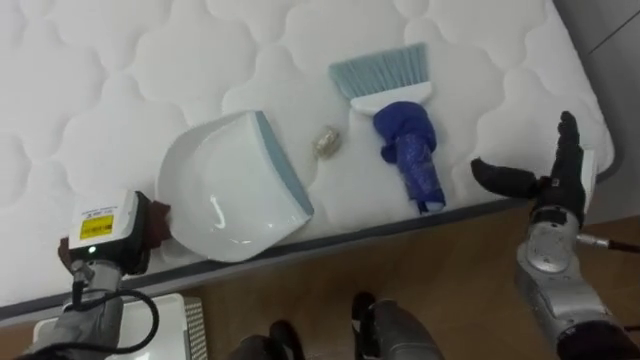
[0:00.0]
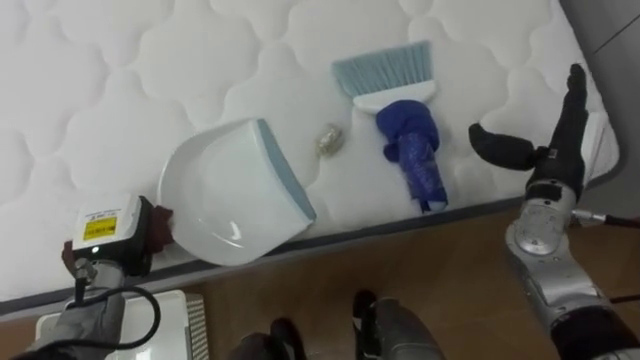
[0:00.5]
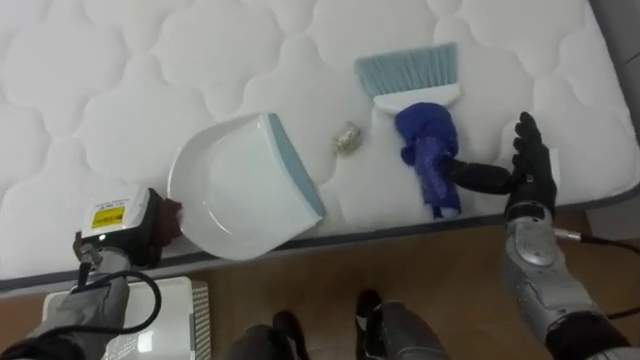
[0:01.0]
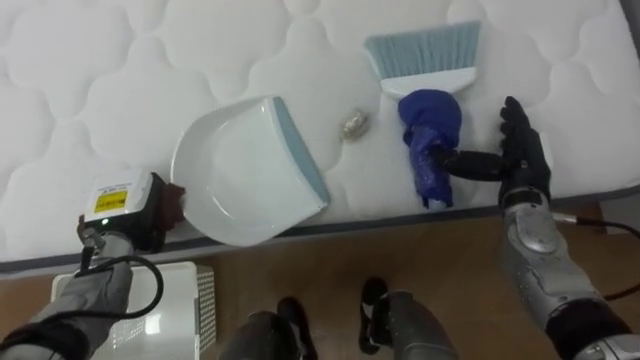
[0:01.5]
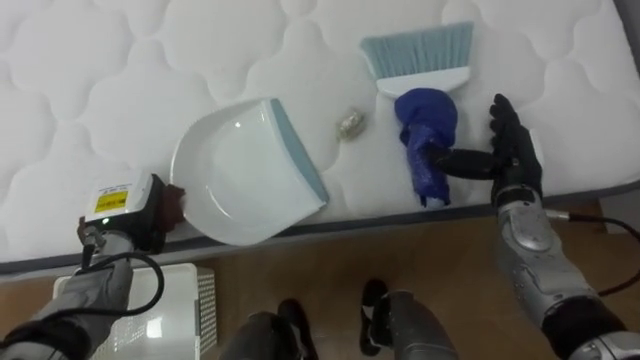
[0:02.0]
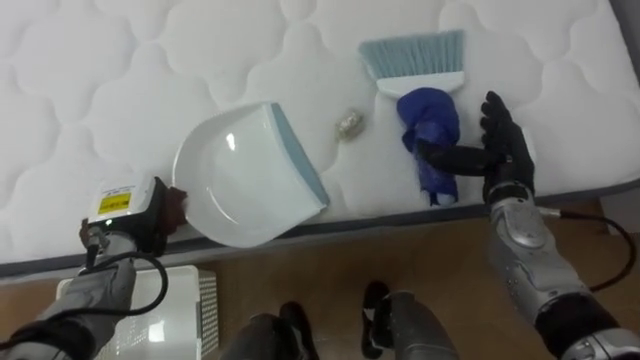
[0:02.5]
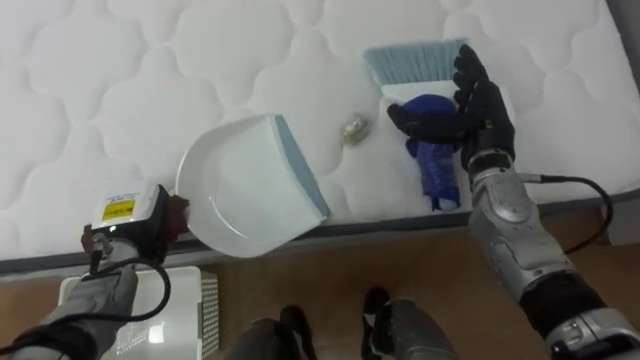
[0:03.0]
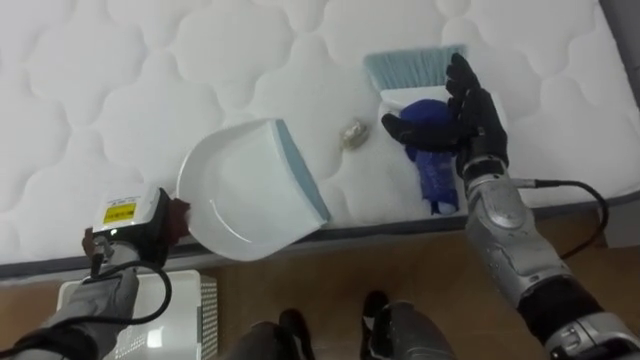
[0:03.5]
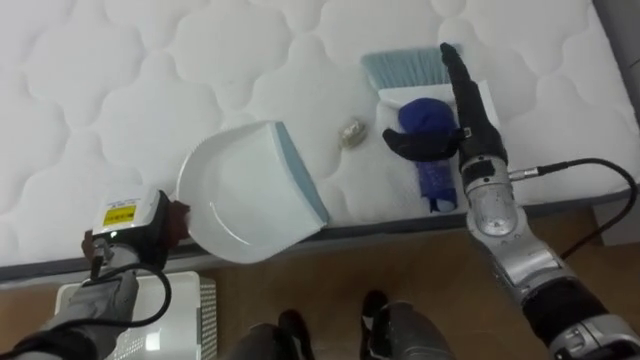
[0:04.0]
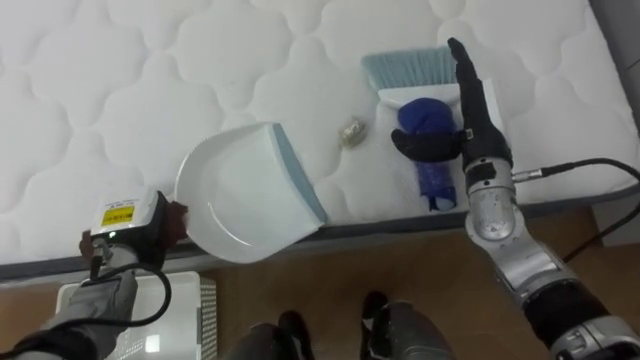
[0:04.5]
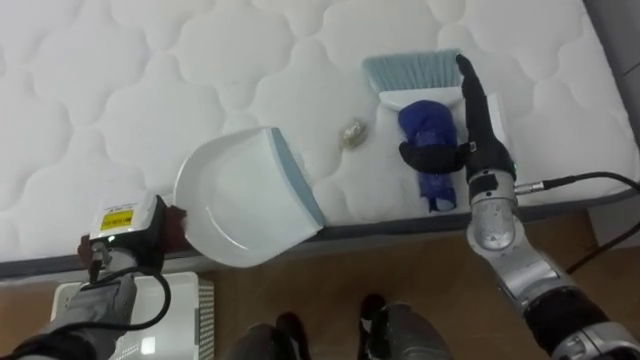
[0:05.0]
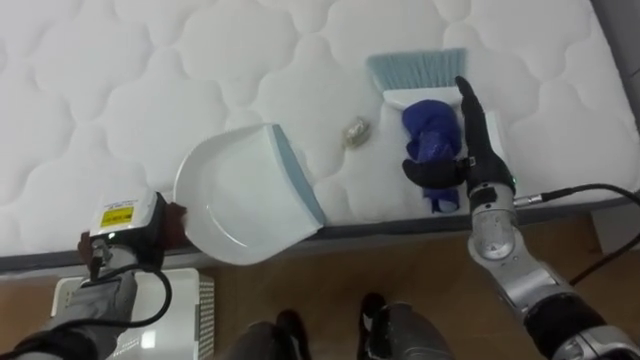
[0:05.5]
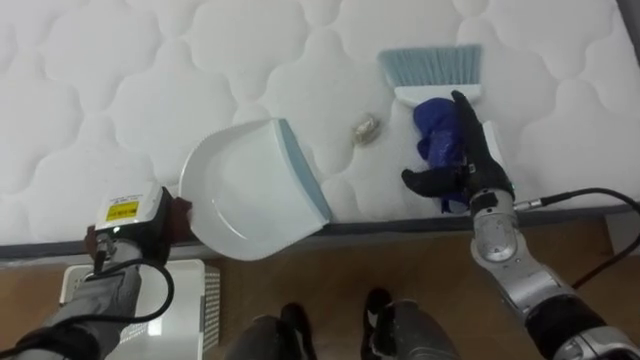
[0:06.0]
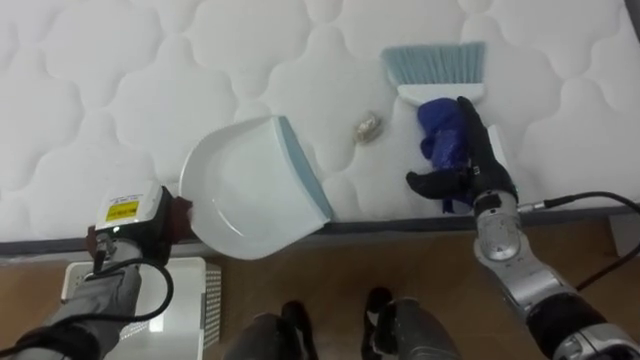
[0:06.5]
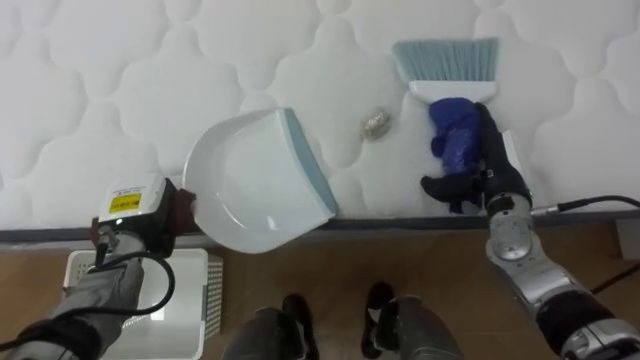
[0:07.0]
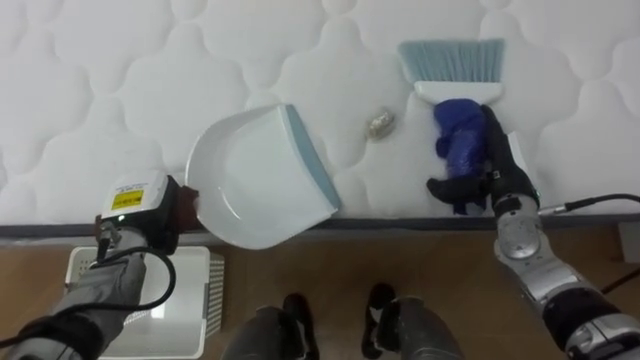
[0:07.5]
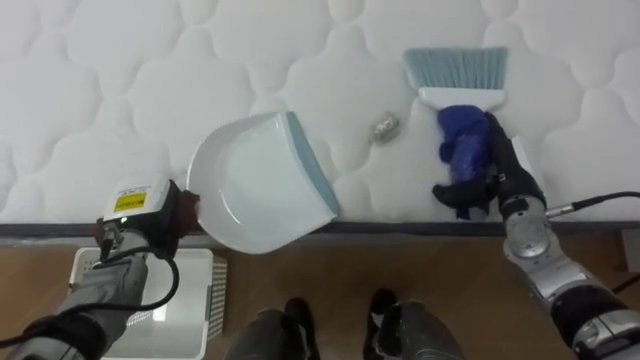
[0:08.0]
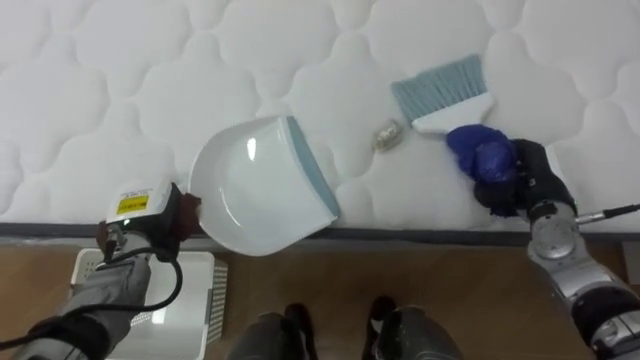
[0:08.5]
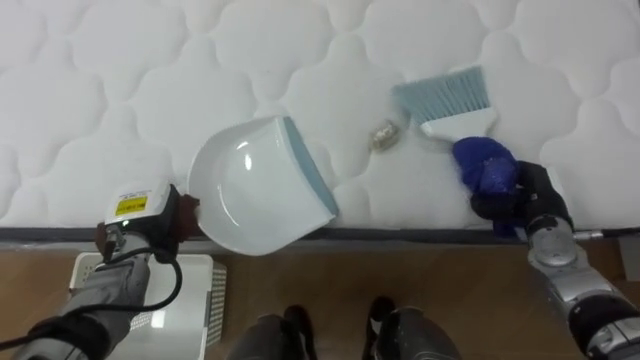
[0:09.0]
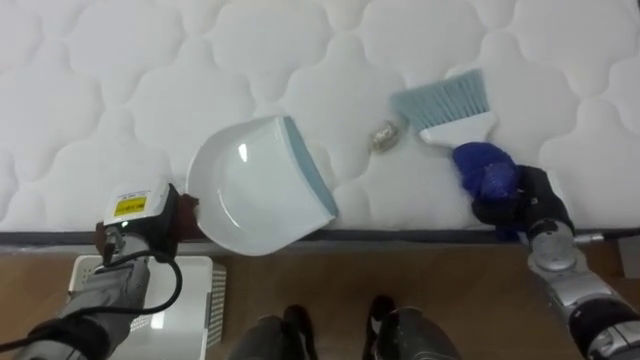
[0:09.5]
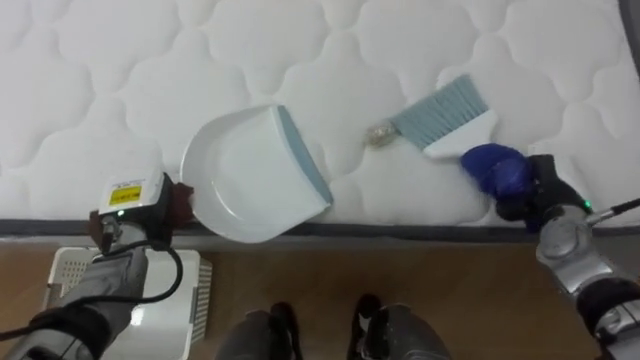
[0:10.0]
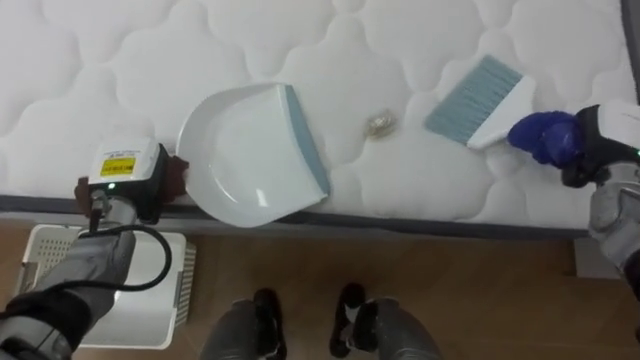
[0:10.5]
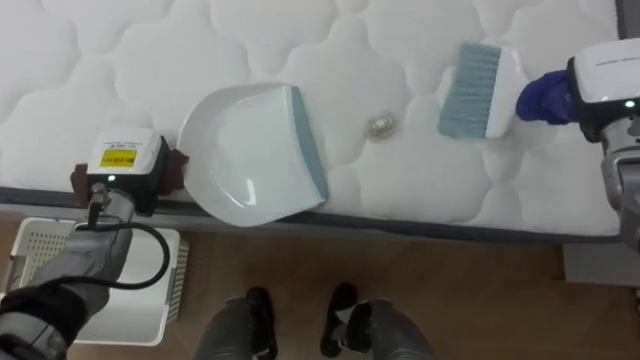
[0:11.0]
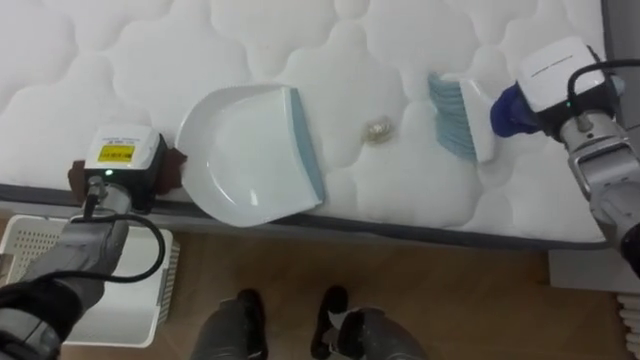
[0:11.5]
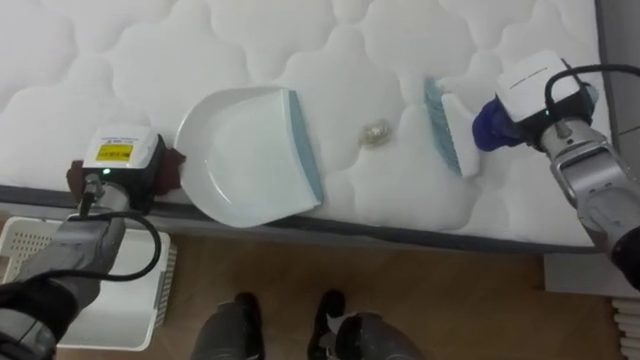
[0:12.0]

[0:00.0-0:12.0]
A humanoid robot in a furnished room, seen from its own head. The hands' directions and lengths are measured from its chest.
Task of the whole recording: Pick up the brush on your right and the dustpan on your left. Use the brush to sweep the crumpled paper on the bed into the dustpan, then turn left and empty it into the basket.
0:00.0 to 0:02.0: The right hand travels to the left by approximately 5 cm.
0:02.0 to 0:04.0: The right hand shifts approximately 10 cm to the left and upward.
0:04.0 to 0:06.0: The right hand moves downward, roughly 5 cm.
0:06.0 to 0:08.0: The right hand is displaced to the right by about 5 cm.
0:08.0 to 0:10.0: The right hand heads to the right, covering approximately 5 cm, and closes up.
0:10.0 to 0:12.0: The left hand travels upward by roughly 5 cm. Meanwhile the right hand goes approximately 15 cm upward, forward and to the left.

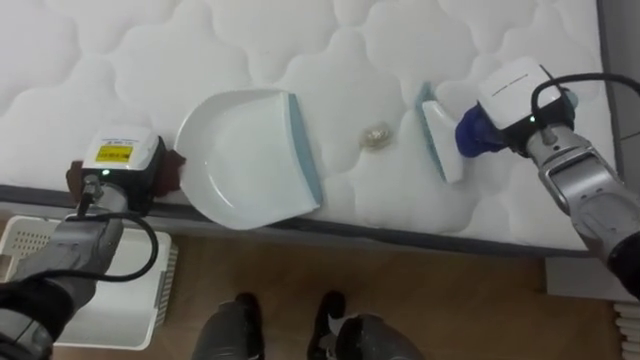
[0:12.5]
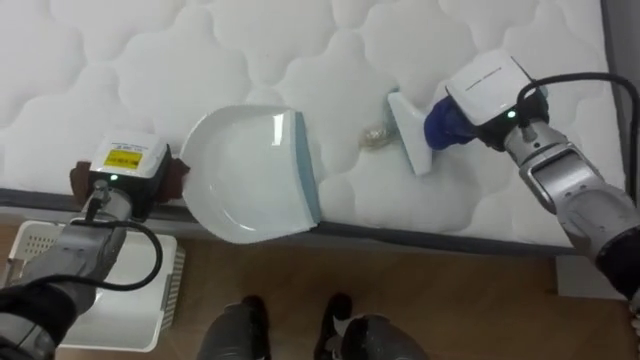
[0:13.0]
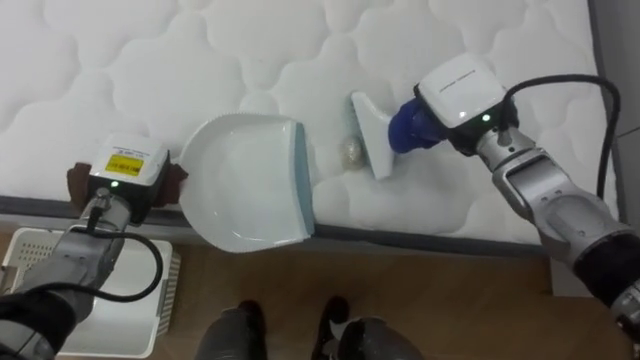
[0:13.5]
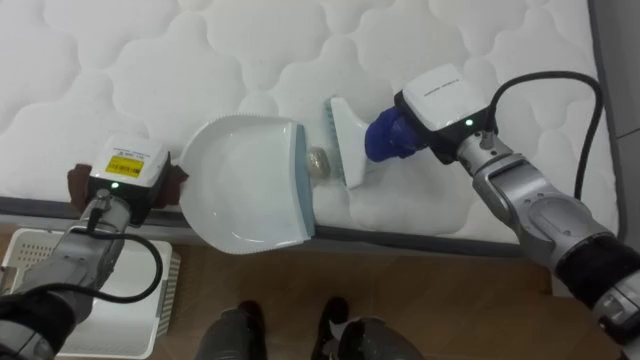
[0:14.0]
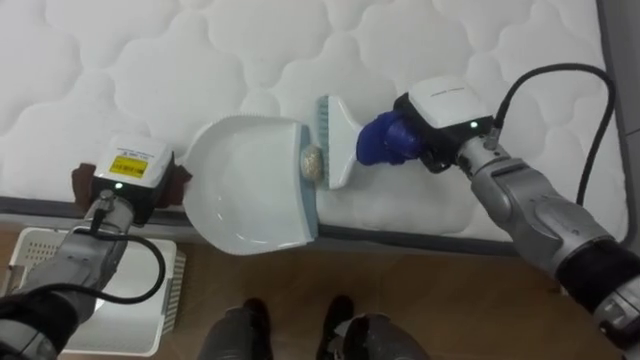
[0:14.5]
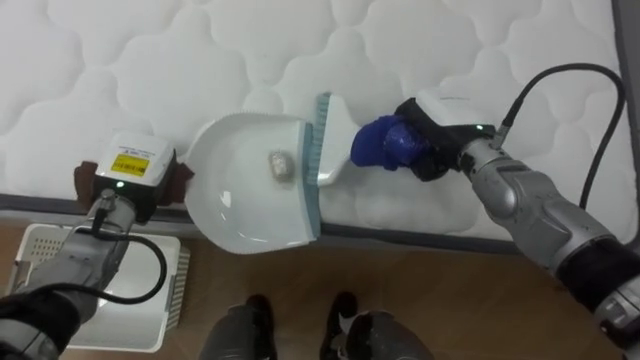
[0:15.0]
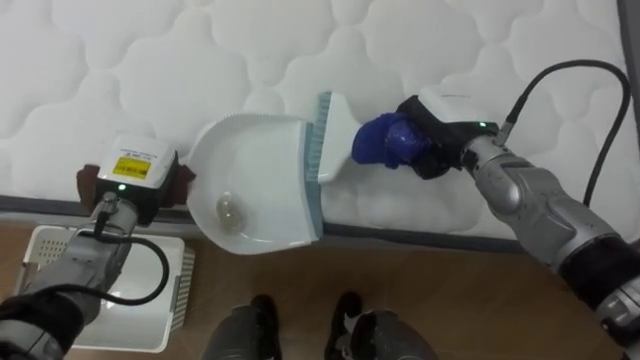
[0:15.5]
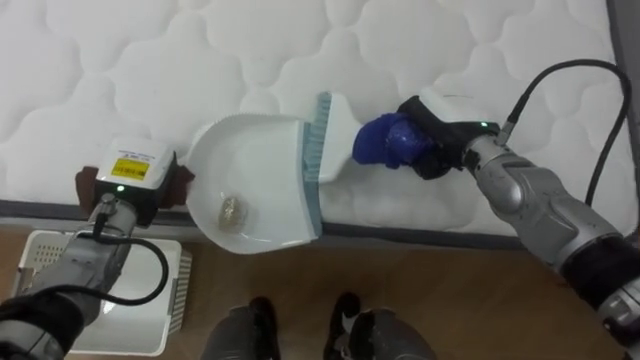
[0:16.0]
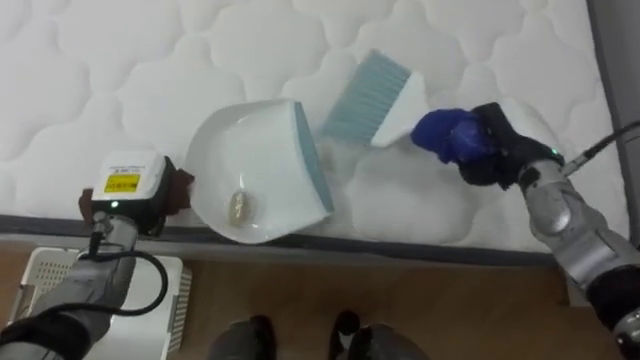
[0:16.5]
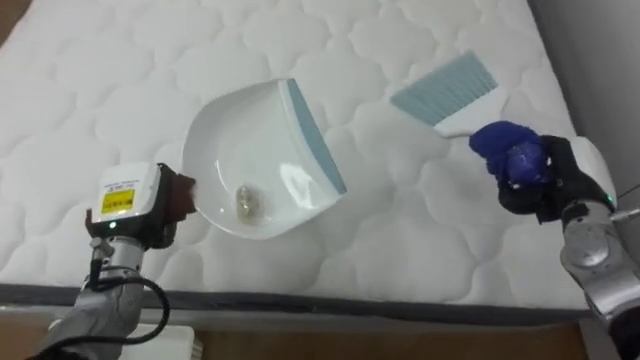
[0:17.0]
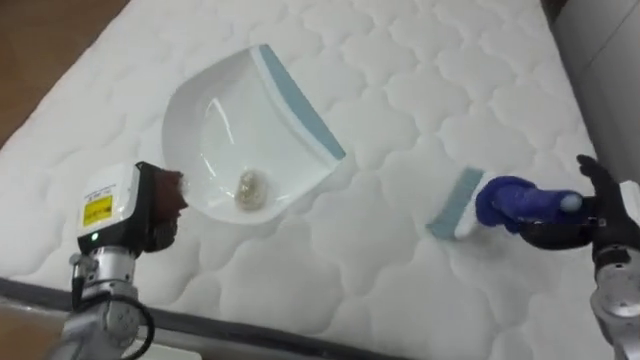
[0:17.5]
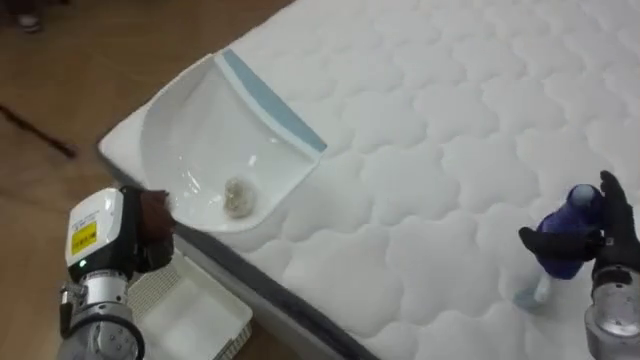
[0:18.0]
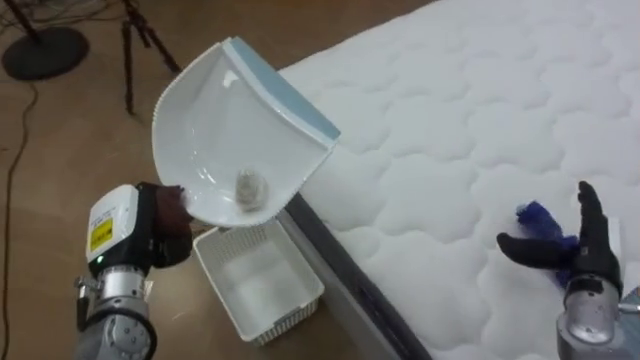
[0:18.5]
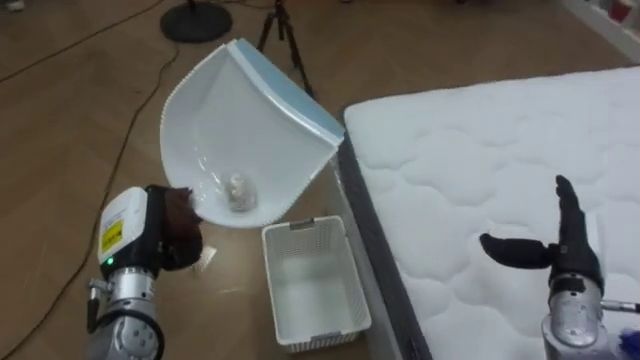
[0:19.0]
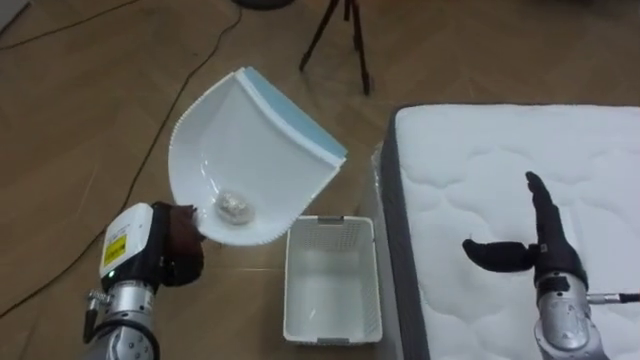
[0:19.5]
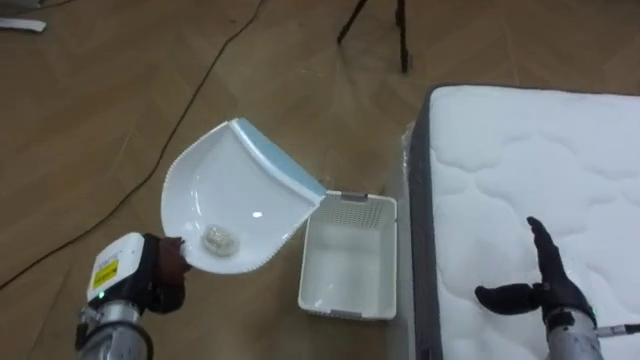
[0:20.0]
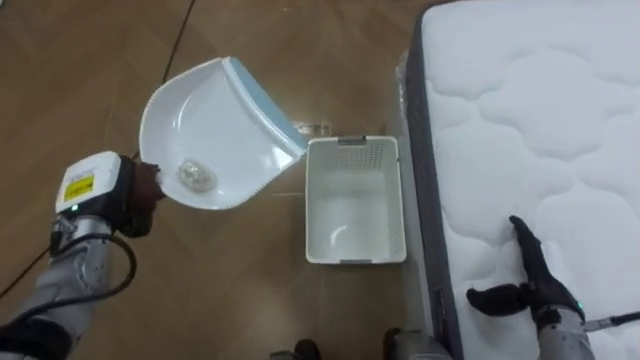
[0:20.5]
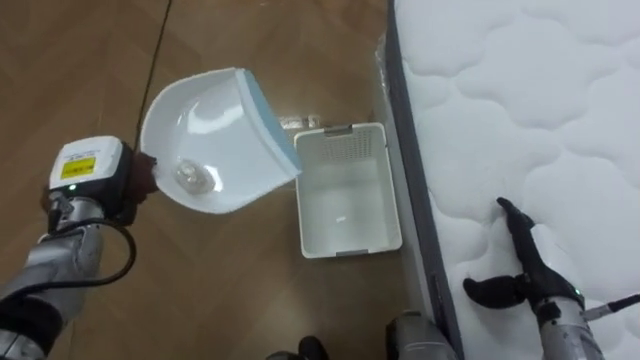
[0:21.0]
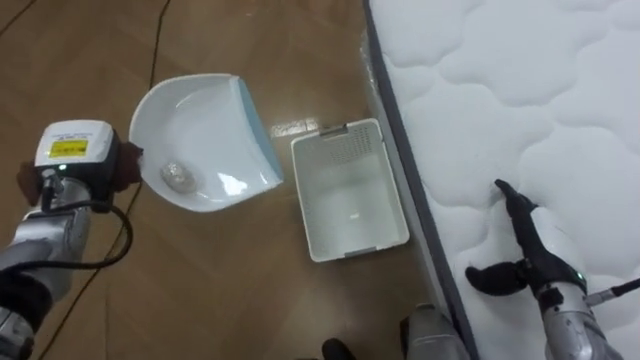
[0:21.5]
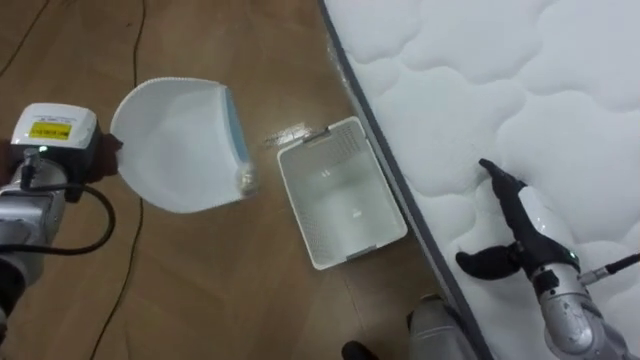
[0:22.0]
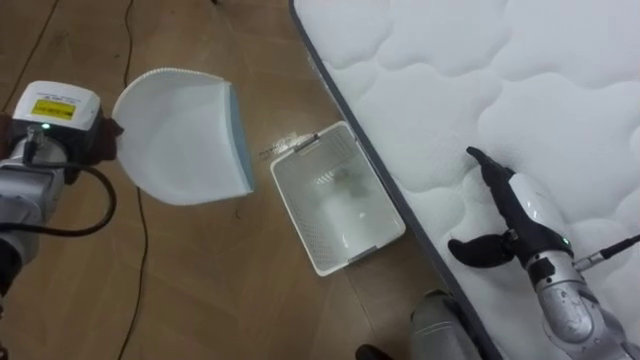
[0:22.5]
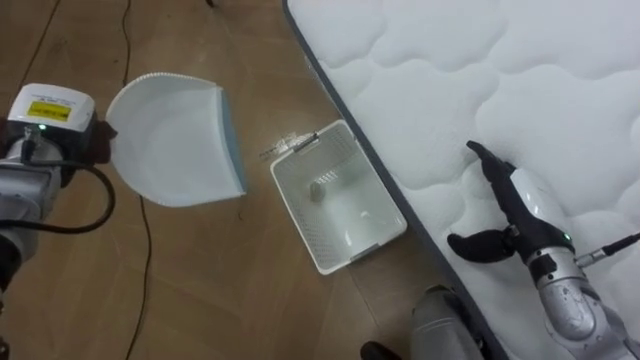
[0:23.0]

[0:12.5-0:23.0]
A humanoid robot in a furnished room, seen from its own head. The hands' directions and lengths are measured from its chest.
Task of the whole recording: Pick up the brush on your right and the dustpan on your left. Use the brush to sweep the crumpled paper on the bed into the dustpan, then turn left and empty it into the basket.
0:12.5 to 0:14.5: The right hand moves to the left, about 10 cm.
0:14.5 to 0:16.5: The right hand goes approximately 10 cm to the right.
0:16.5 to 0:19.0: The robot turns to its left by roughly 80 degrees. The right hand heads backward, downward and to the right, covering roughly 15 cm, and opens up; the left hand travels backward by some 5 cm.
0:19.0 to 0:21.0: The left hand heads forward and to the left, covering roughly 10 cm.
0:21.0 to 0:23.0: Both hands move upward, approximately 5 cm.
